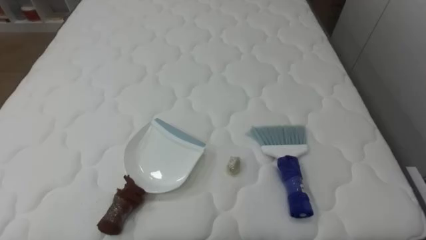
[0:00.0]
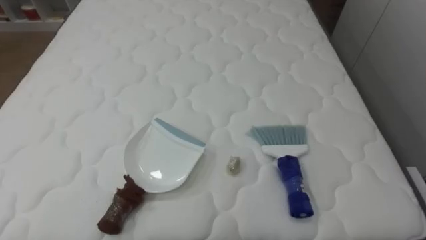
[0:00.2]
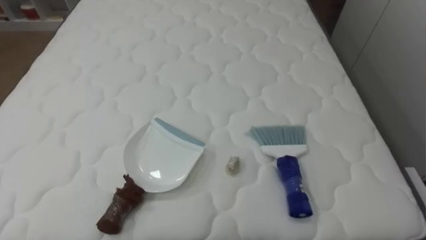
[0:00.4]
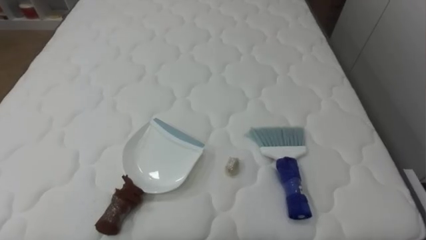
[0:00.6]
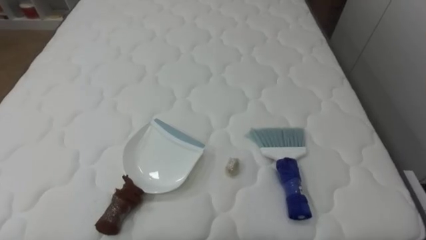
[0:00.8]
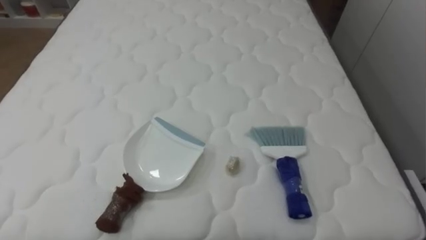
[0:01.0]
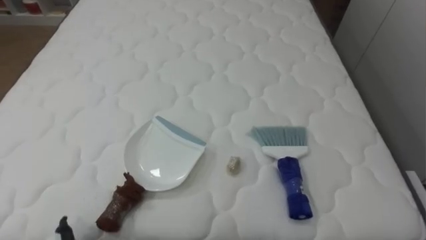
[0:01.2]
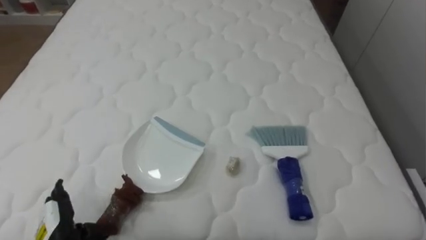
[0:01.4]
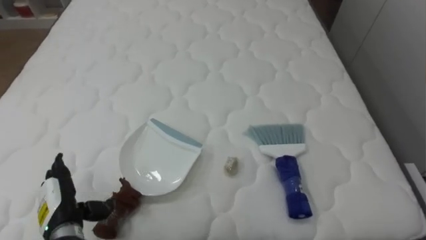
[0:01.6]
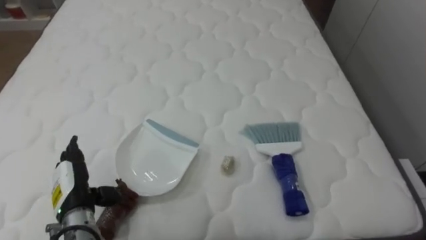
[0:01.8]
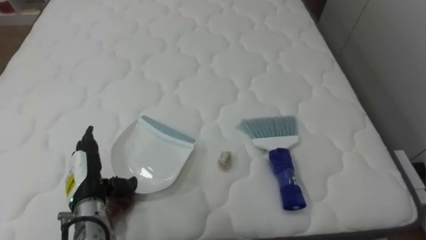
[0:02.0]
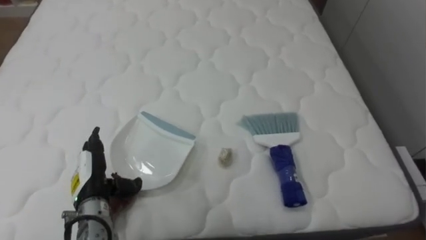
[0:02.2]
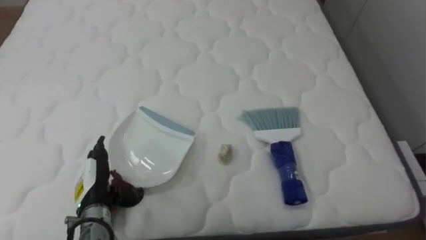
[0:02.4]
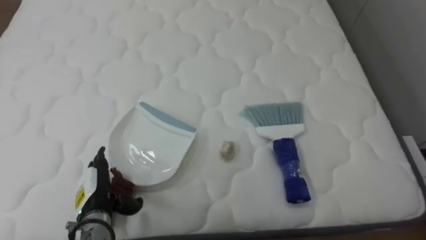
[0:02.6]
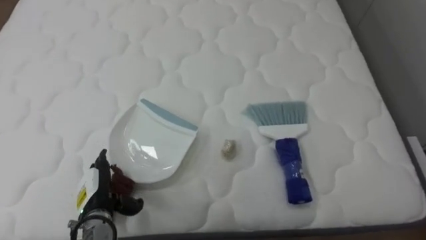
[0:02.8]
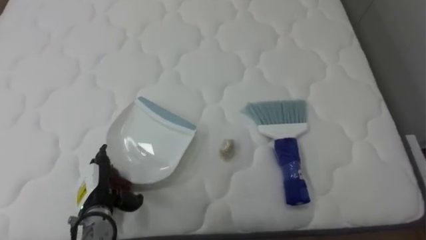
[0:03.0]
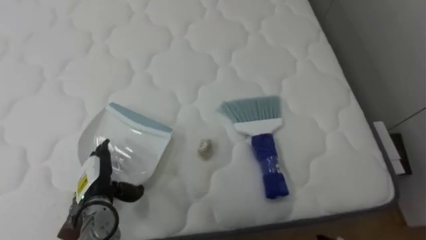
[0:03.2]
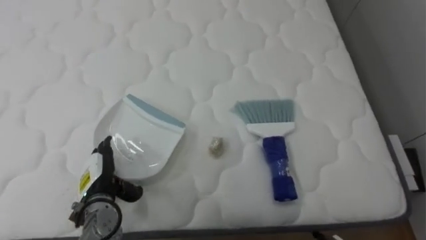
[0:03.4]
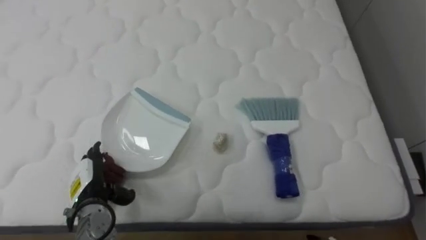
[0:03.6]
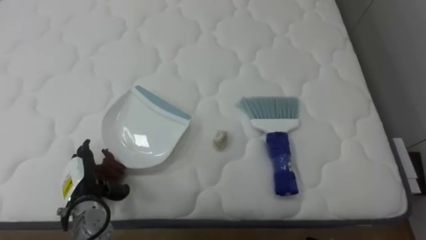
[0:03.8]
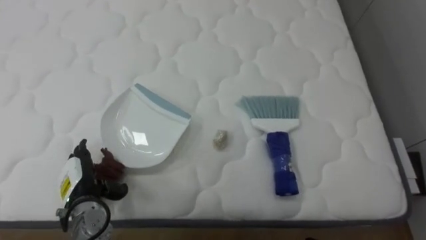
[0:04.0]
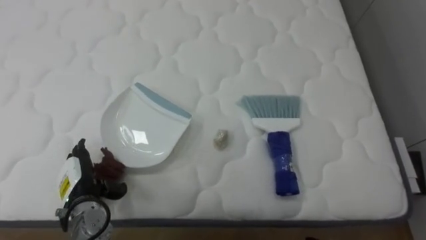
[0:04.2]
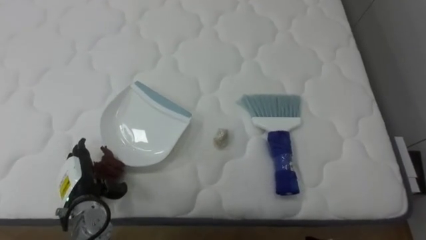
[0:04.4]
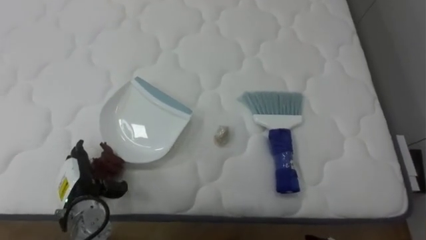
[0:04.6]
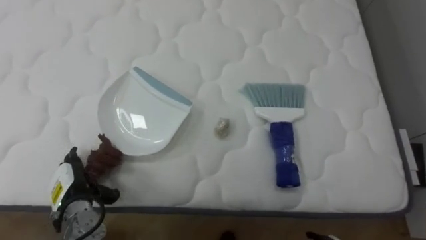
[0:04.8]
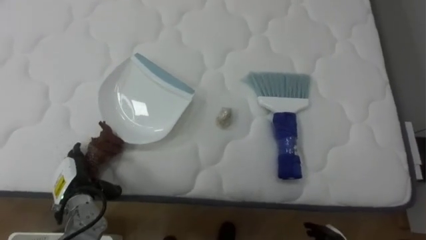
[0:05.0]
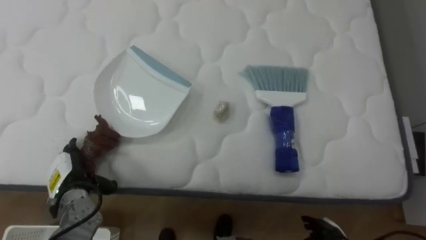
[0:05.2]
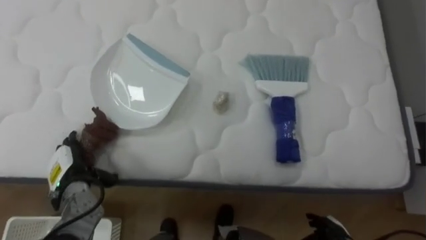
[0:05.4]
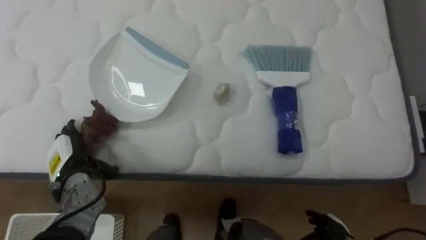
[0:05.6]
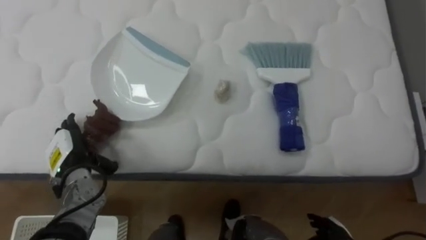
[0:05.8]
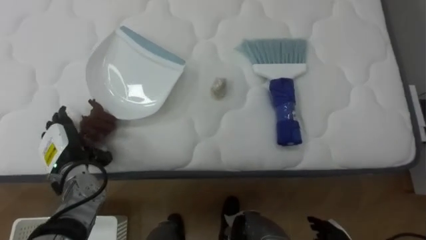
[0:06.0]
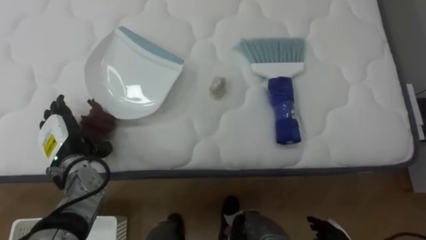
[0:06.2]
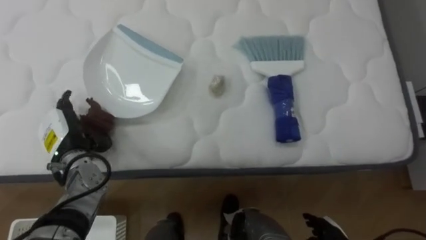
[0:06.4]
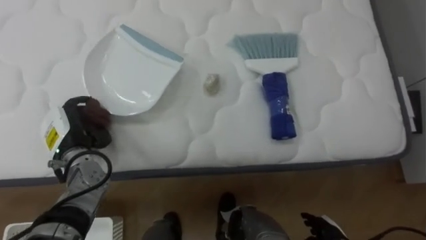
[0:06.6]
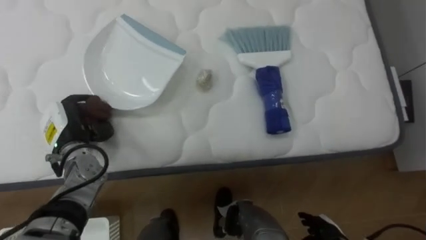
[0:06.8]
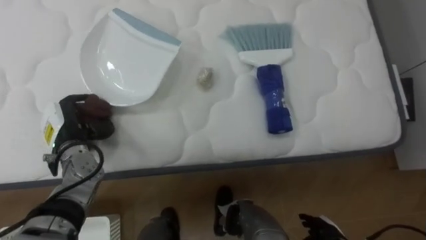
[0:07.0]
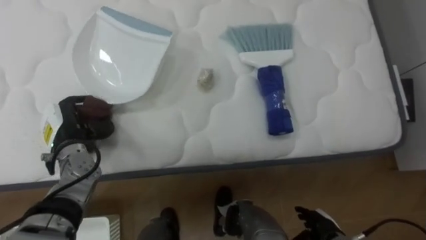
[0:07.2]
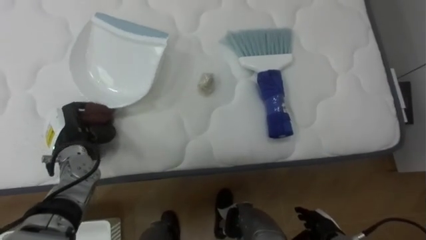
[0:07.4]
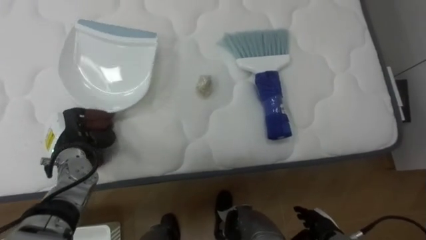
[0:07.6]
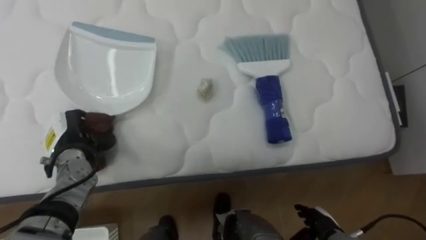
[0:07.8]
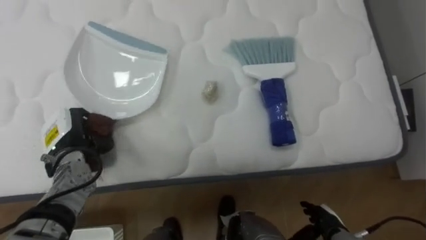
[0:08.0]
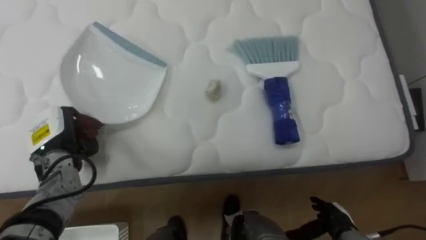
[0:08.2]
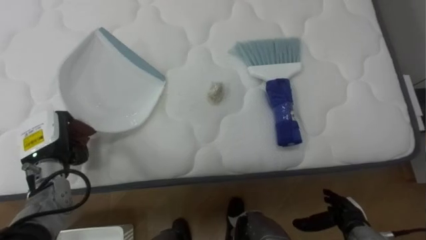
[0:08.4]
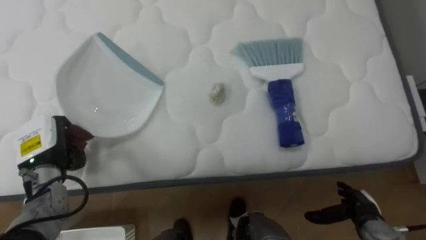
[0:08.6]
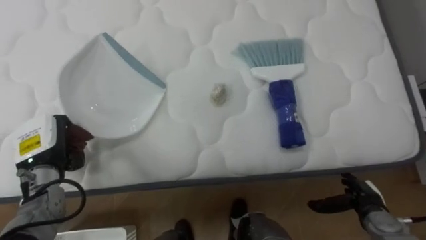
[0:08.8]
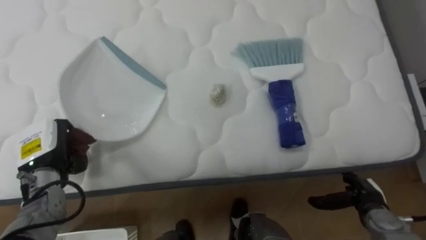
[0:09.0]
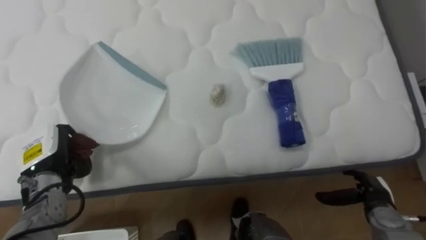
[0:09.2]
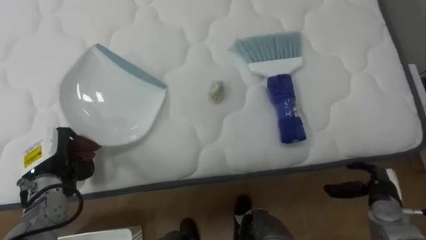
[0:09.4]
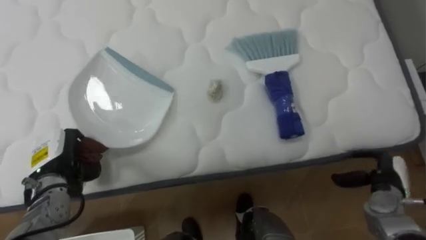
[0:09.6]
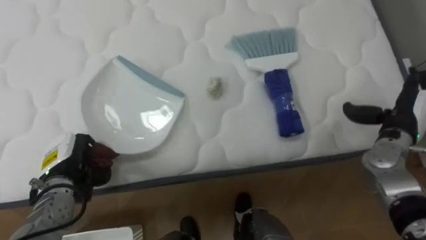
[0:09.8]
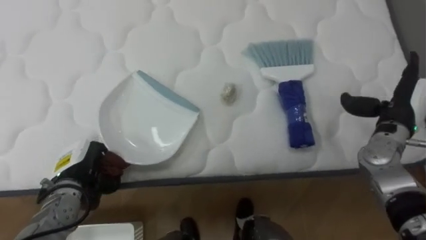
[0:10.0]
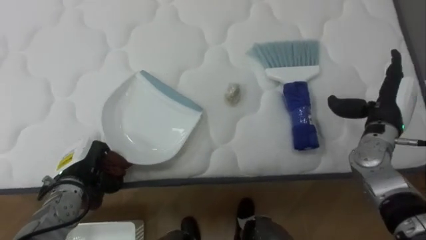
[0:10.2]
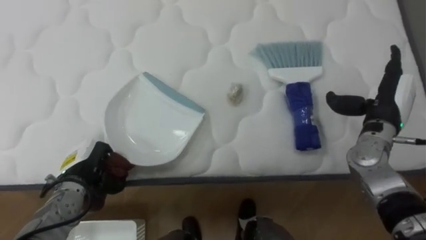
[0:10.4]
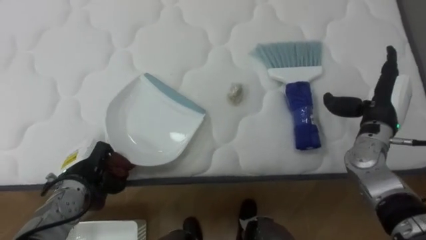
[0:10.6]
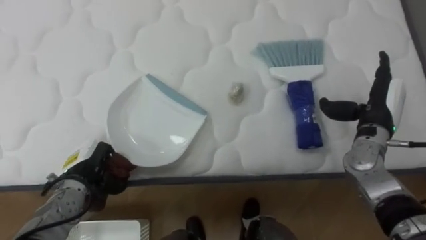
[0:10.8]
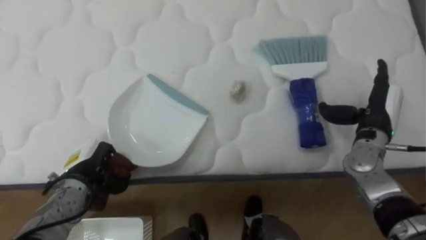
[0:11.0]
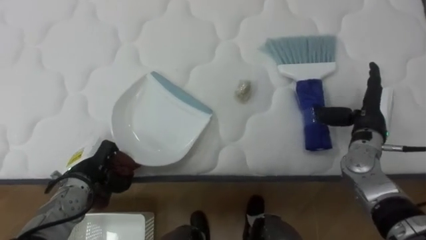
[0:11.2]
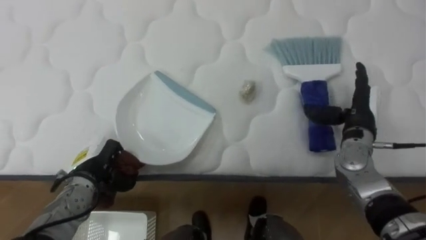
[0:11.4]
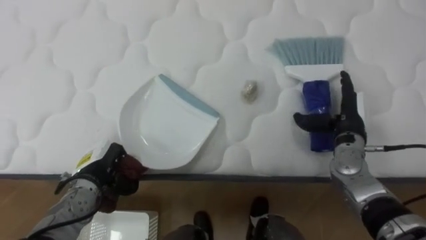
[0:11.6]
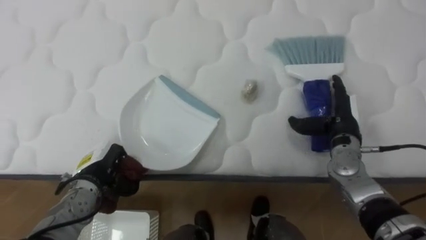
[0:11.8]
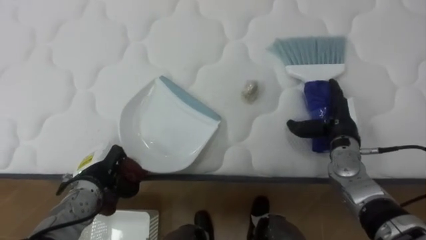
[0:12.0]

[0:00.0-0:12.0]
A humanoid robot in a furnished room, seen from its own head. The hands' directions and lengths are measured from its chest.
Task of the whole recording: Pick up the brush on your right and the dustpan on your left. Use the brush to sweep the crumpled paper on the bed into the dustpan, then turn left and empty it into the basket.
0:01.6 to 0:03.0: The left hand heads to the right, covering some 5 cm.
0:04.4 to 0:06.0: The left hand travels forward by roughly 5 cm.
0:06.0 to 0:07.6: The left hand closes its fingers.
0:07.6 to 0:09.0: The right hand heads to the right, forward and upward, covering some 10 cm.
0:09.0 to 0:10.4: The left hand shifts approximately 10 cm downward and to the right. Meanwhile the right hand travels upward and forward by about 20 cm.
0:10.4 to 0:12.0: The right hand is displaced downward and to the left by some 10 cm.

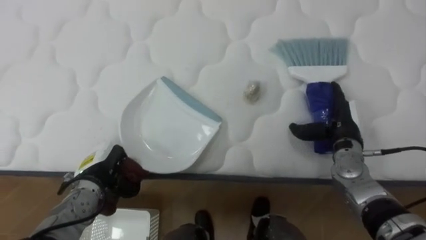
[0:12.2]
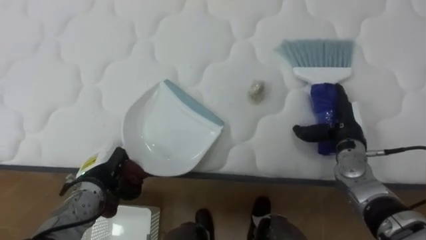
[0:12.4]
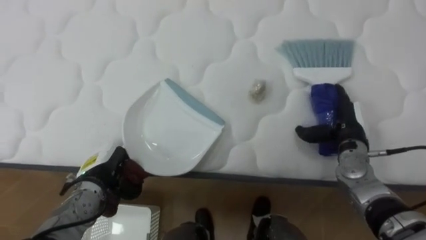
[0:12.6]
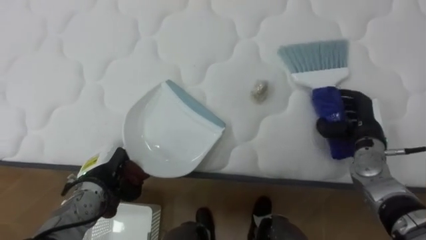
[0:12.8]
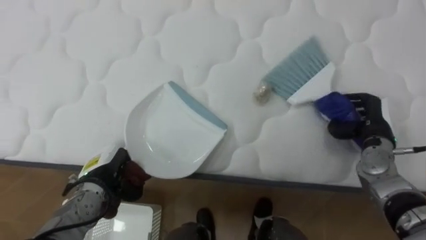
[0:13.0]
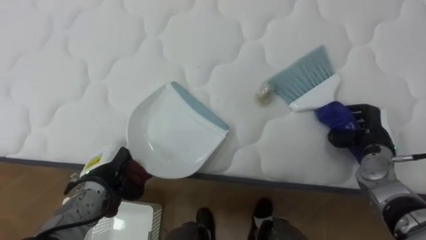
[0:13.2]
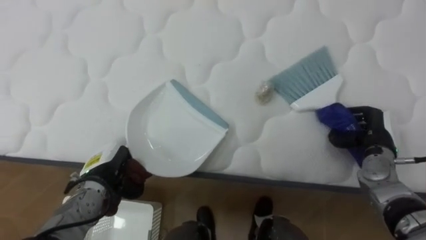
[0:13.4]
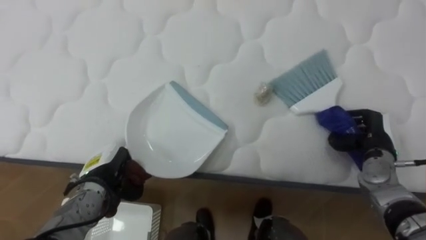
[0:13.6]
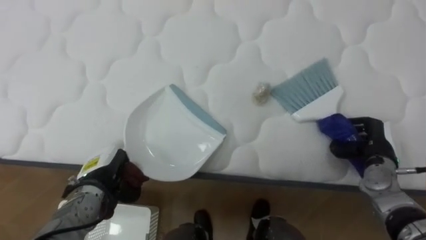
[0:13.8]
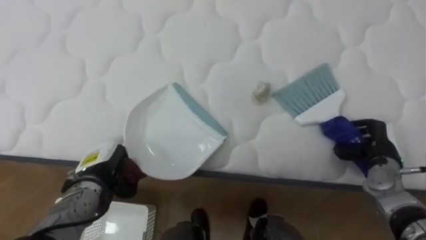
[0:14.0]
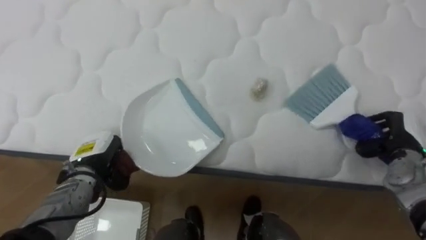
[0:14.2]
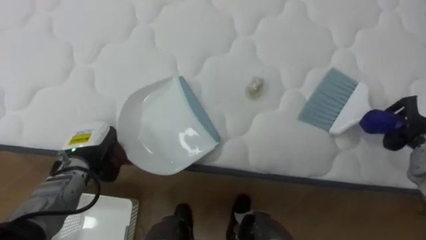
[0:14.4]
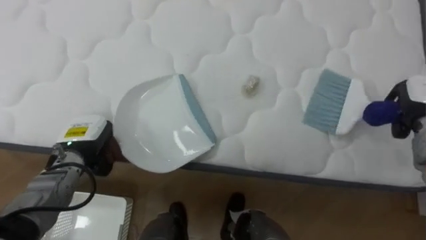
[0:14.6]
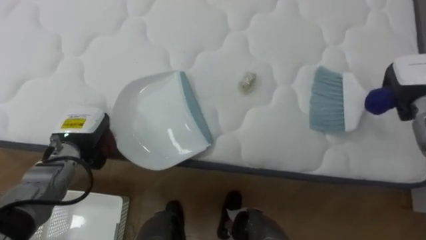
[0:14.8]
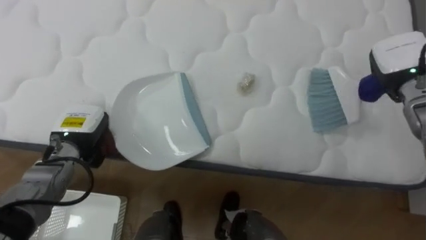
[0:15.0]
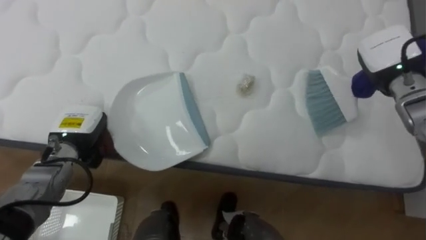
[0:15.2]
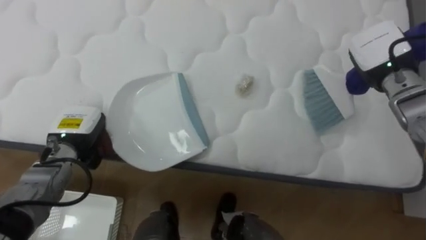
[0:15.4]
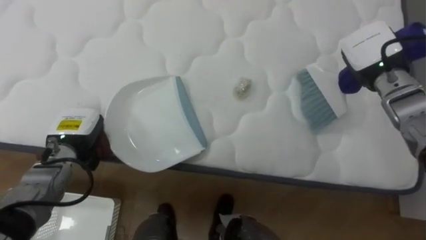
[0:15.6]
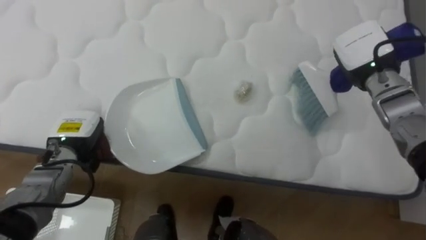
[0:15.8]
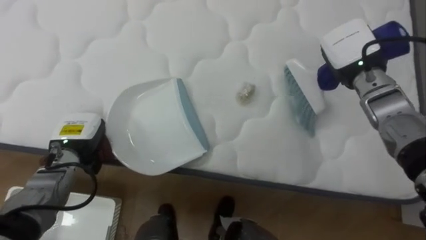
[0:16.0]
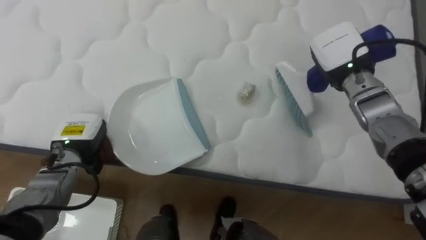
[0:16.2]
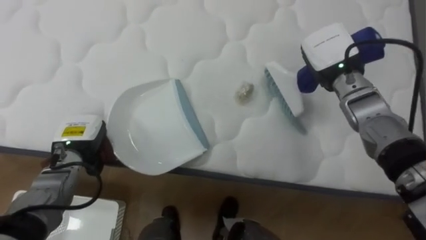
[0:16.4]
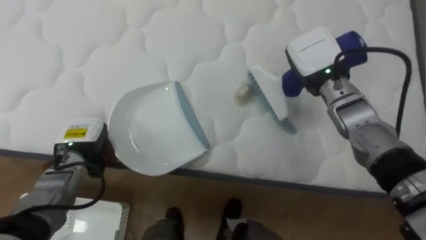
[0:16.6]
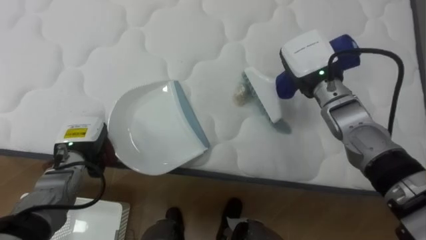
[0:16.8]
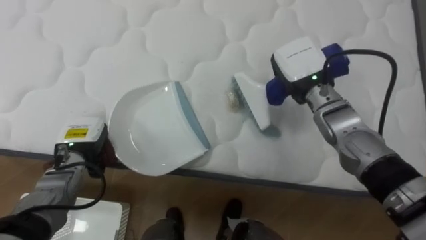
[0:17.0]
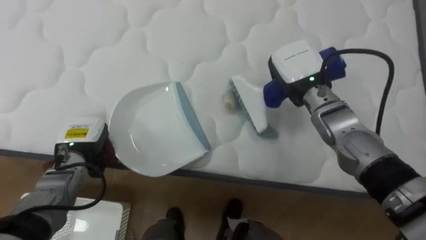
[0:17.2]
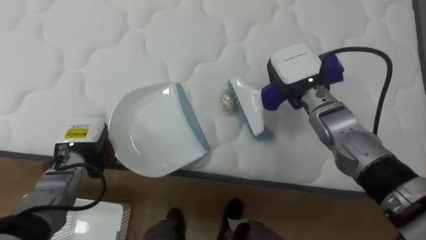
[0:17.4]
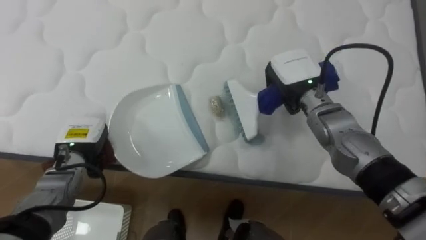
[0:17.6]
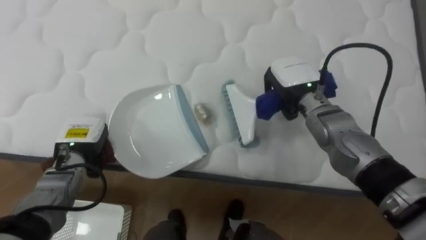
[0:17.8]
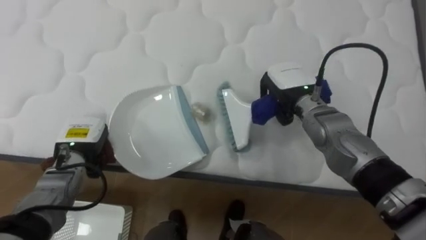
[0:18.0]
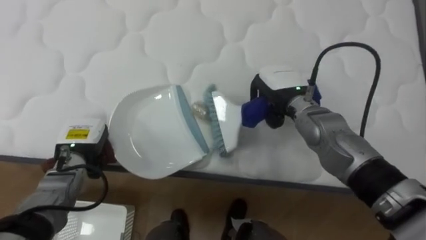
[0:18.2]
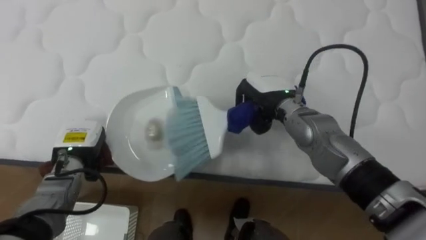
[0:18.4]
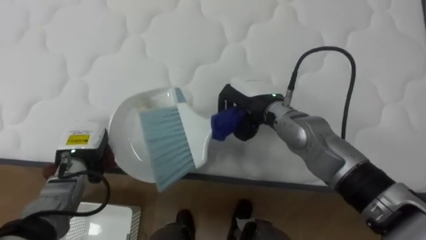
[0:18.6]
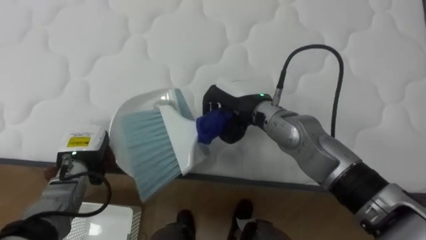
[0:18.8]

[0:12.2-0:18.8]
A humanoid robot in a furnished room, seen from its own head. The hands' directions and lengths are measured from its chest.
Task of the whole recording: Pick up the brush on your right and the dustpan on your left. Use the brush to sweep the crumpled paper on the bed into the dustpan, then turn left and empty it into the basket.
0:12.2 to 0:13.8: The right hand travels to the right by some 5 cm, and closes.
0:13.8 to 0:15.4: The left hand moves upward and forward, about 10 cm.
0:15.4 to 0:17.2: The right hand moves to the left, approximately 15 cm.
0:17.2 to 0:18.8: The right hand shifts approximately 10 cm to the left.
